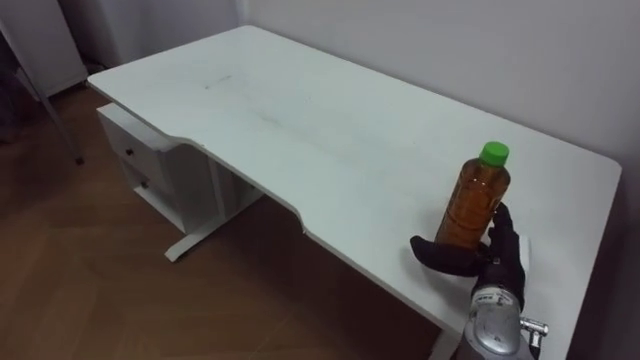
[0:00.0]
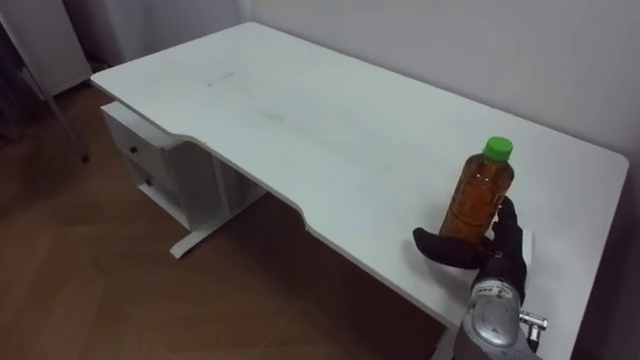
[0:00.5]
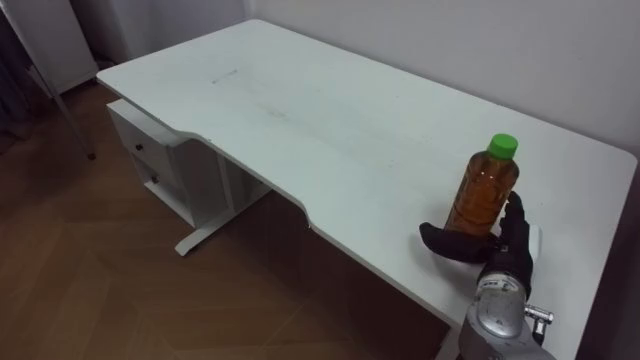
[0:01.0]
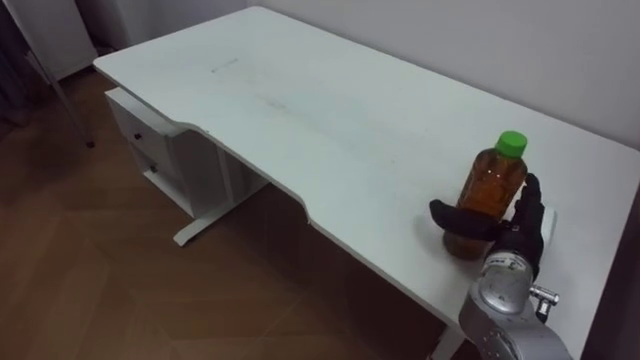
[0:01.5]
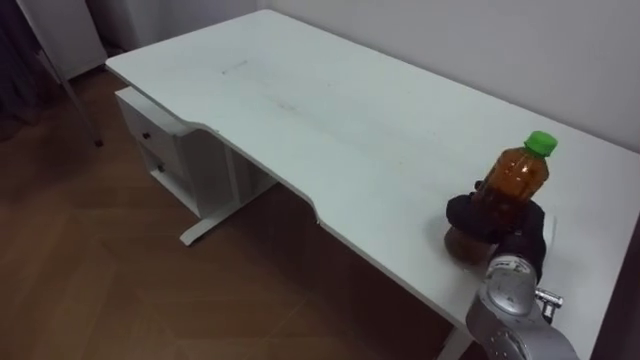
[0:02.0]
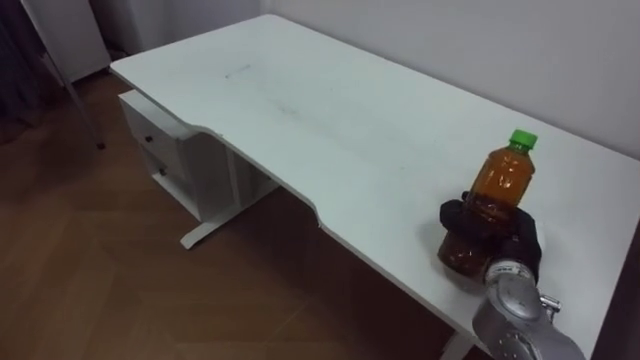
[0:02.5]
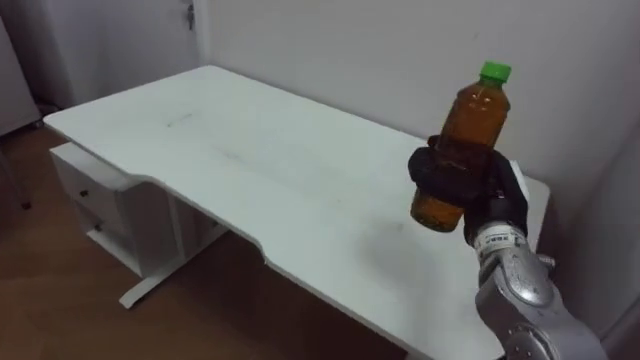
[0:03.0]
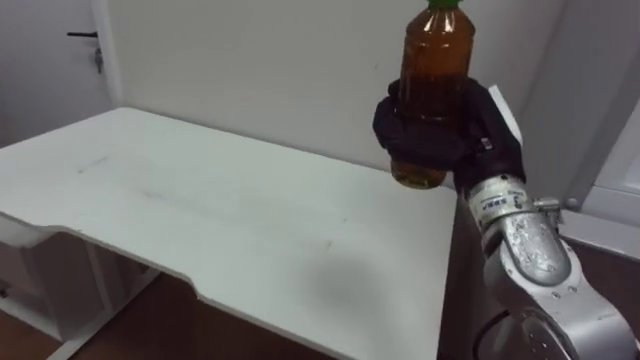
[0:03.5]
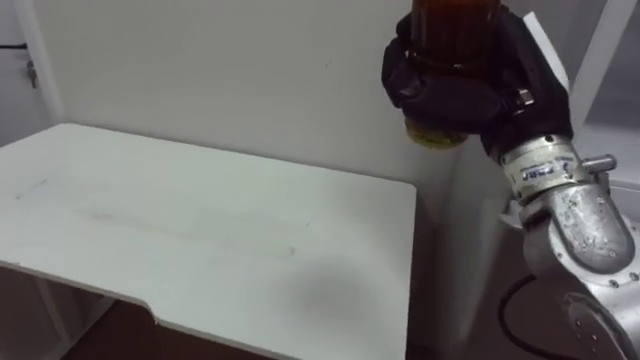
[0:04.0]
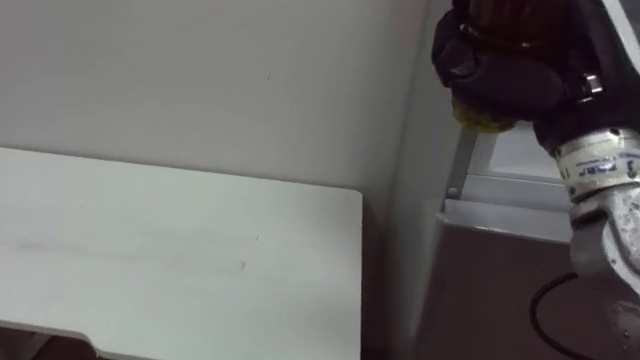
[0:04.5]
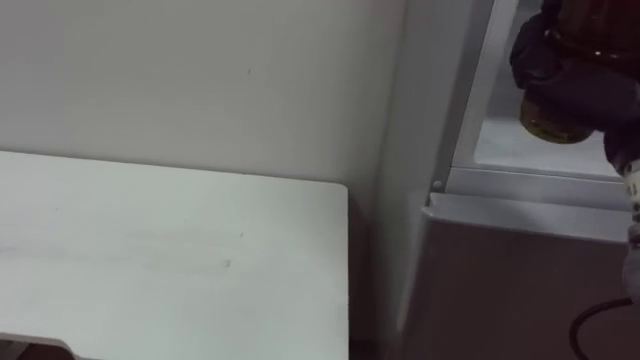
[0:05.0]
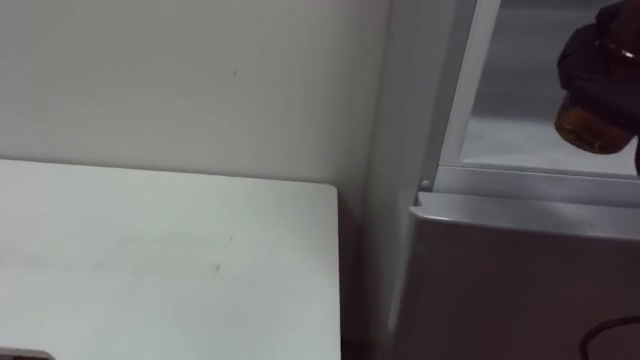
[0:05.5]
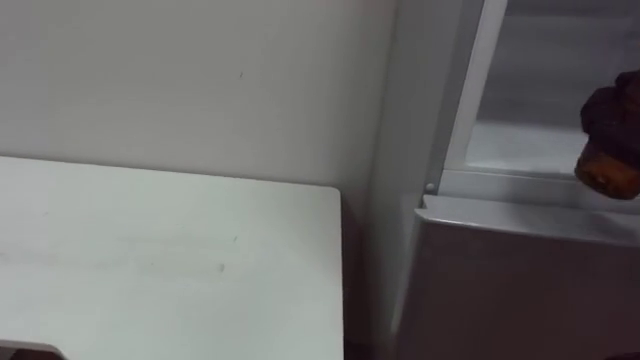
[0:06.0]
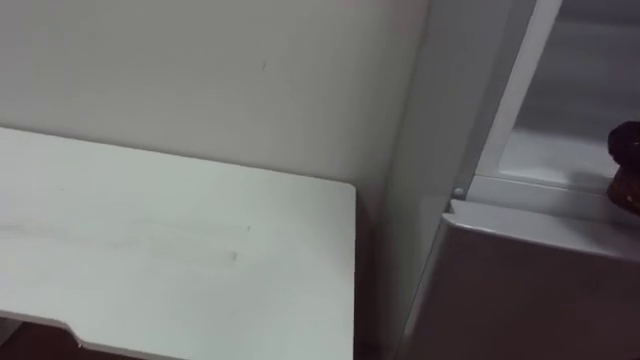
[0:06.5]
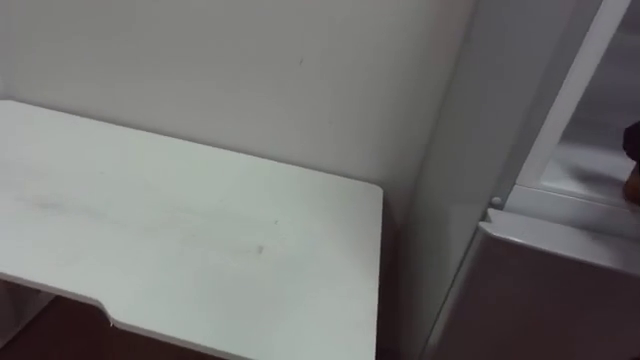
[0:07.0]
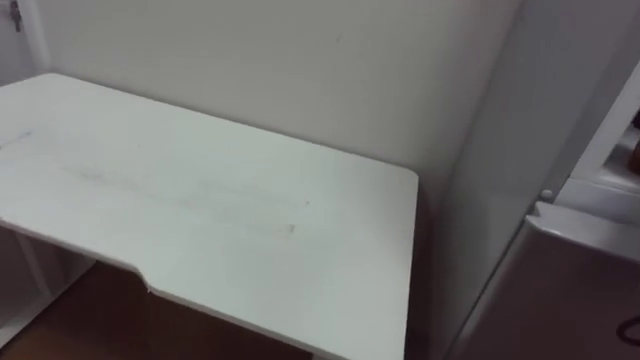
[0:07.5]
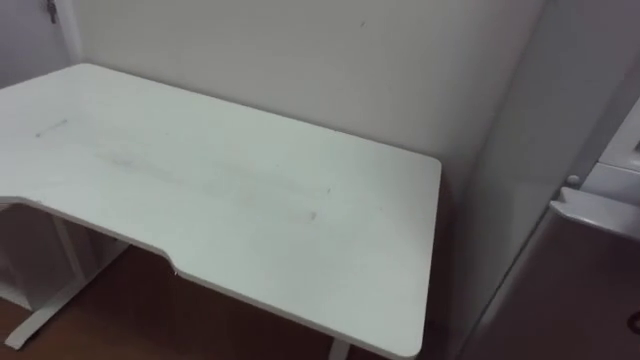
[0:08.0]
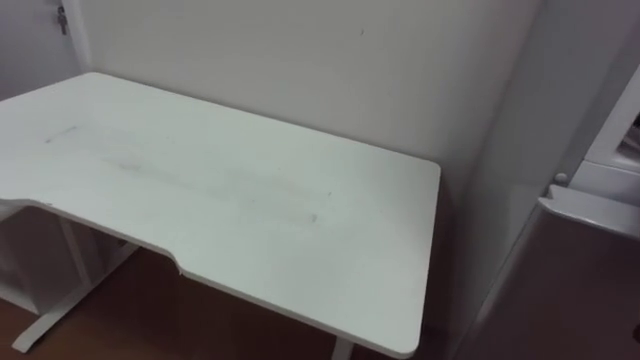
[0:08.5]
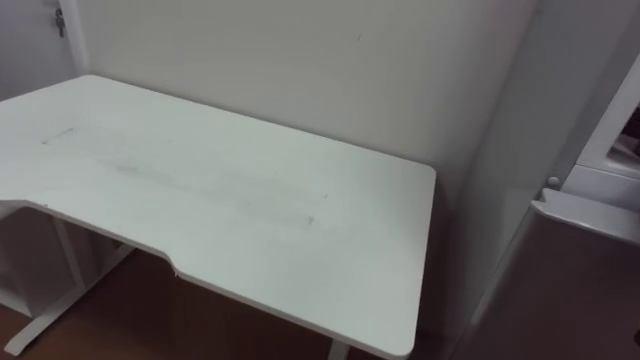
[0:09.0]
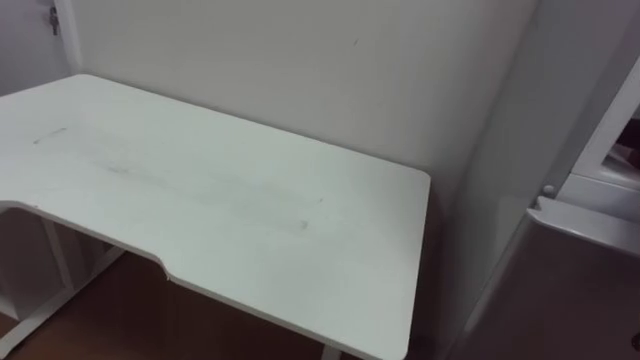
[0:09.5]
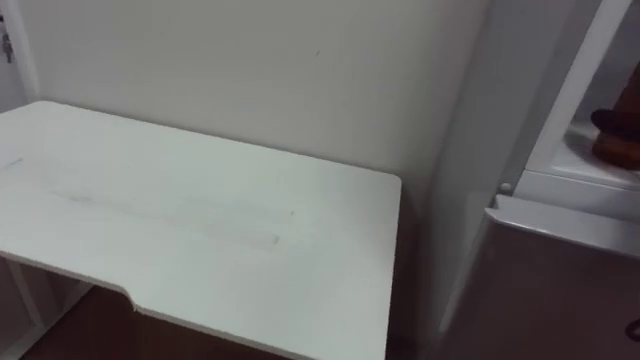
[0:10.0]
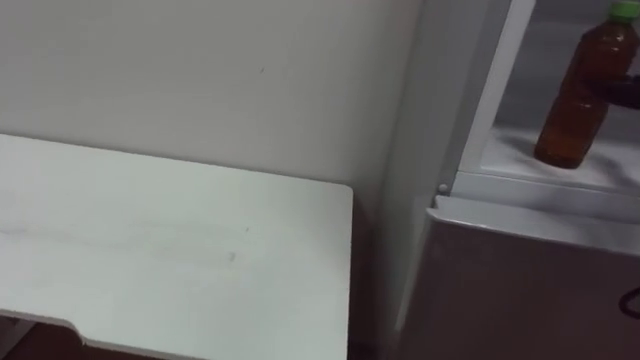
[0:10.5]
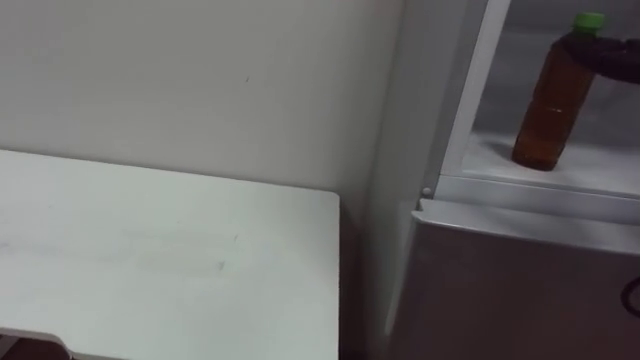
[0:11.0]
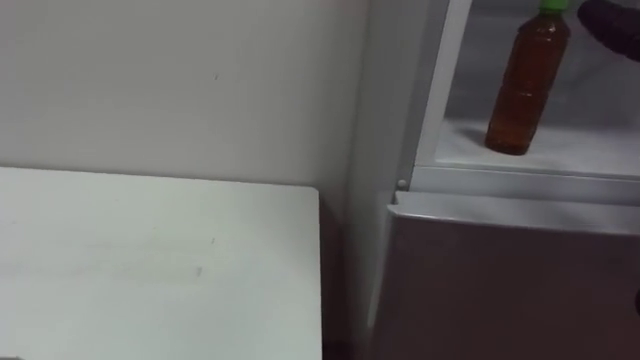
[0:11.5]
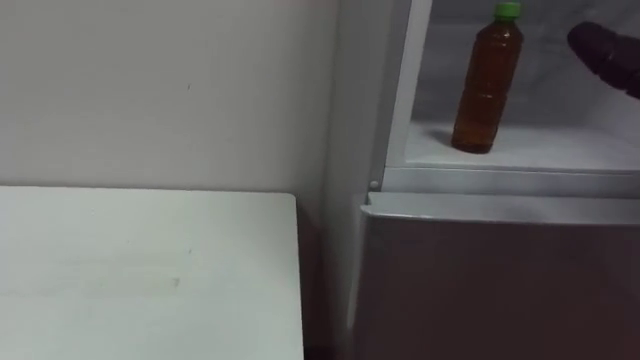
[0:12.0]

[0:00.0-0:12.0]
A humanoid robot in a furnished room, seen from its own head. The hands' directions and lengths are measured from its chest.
Task of the whole recording: Open the upper refrigerator door, put the drink from the table into the refrigerator, and then close the refrigerator door.
0:00.0 to 0:02.0: The right hand closes.
0:02.0 to 0:04.0: The right hand is displaced upward by roughly 20 cm.

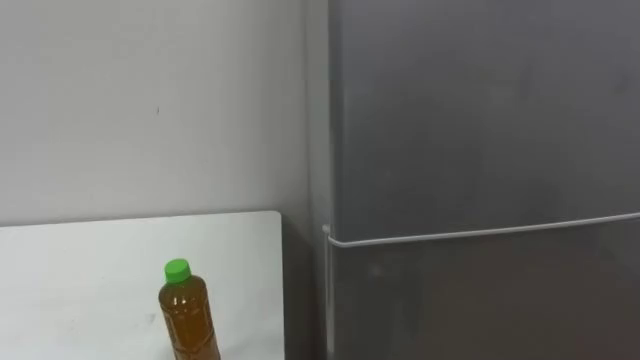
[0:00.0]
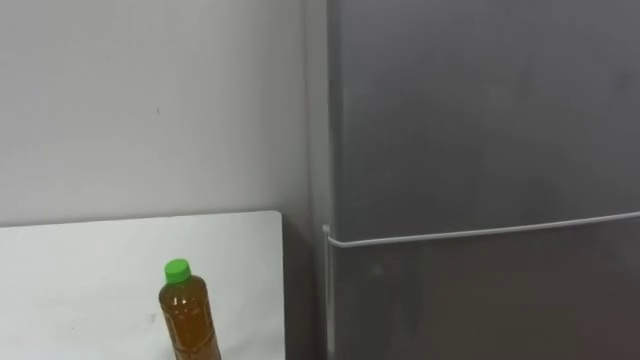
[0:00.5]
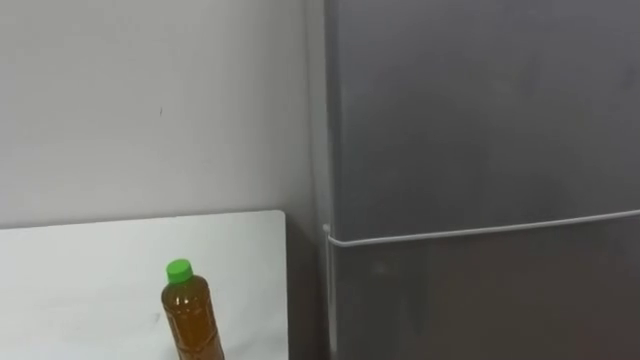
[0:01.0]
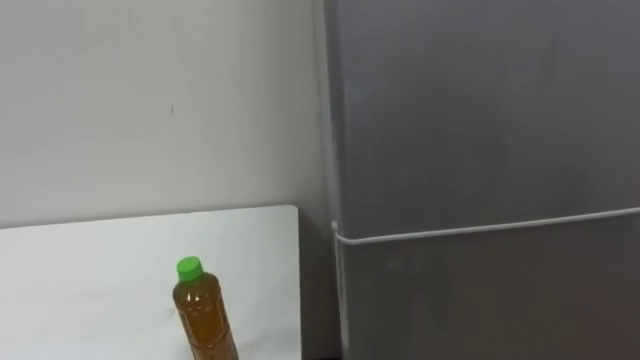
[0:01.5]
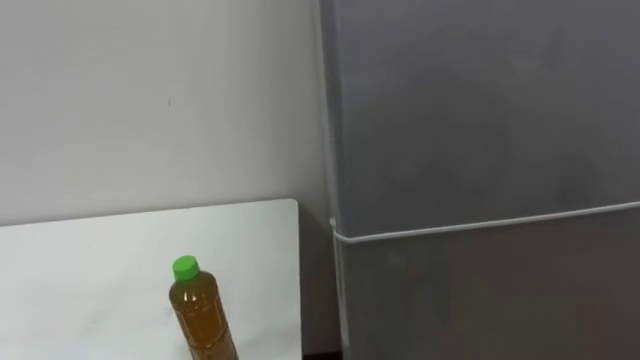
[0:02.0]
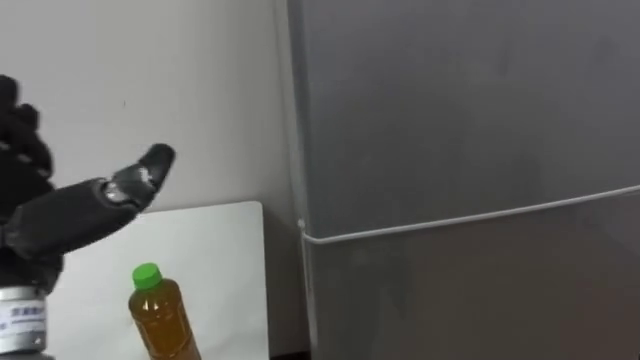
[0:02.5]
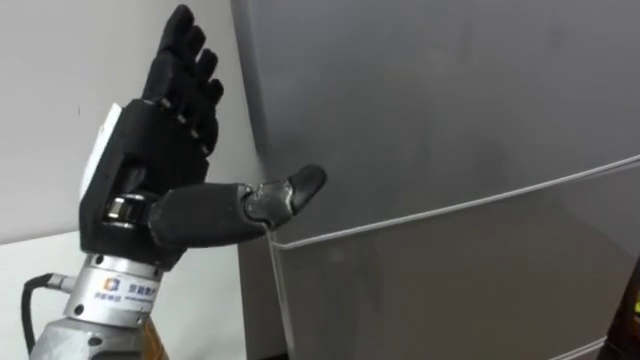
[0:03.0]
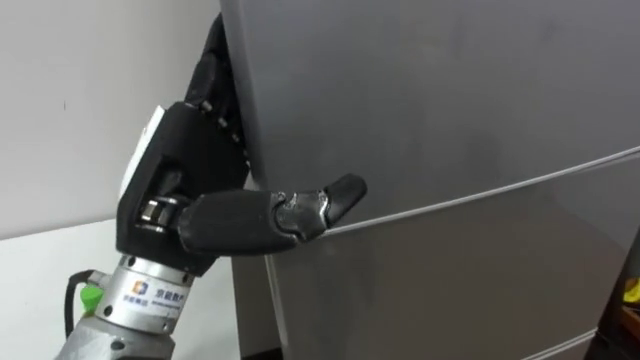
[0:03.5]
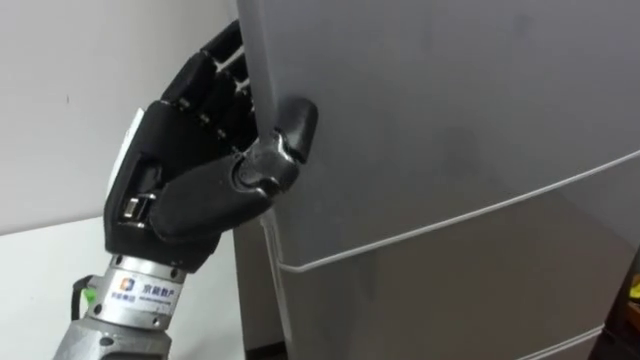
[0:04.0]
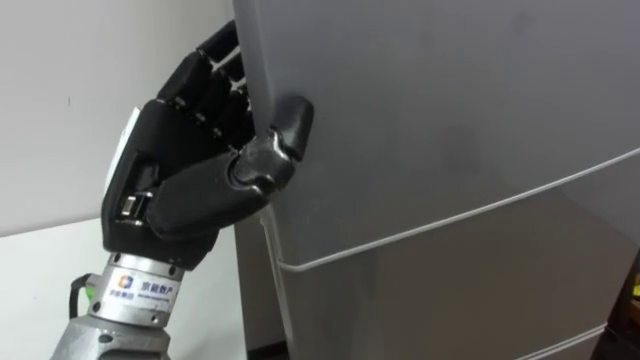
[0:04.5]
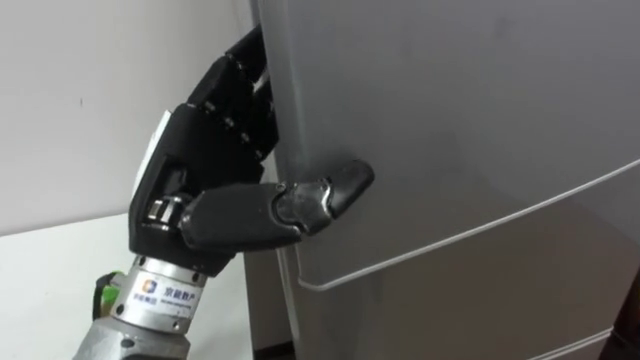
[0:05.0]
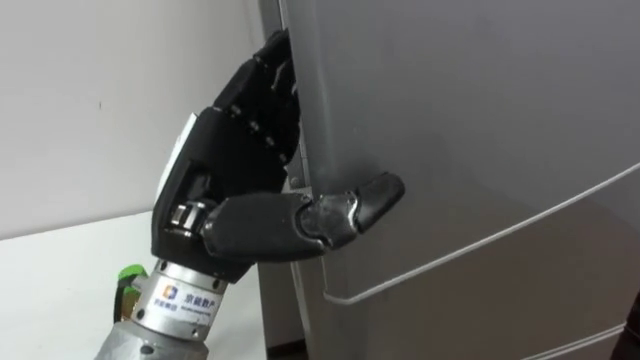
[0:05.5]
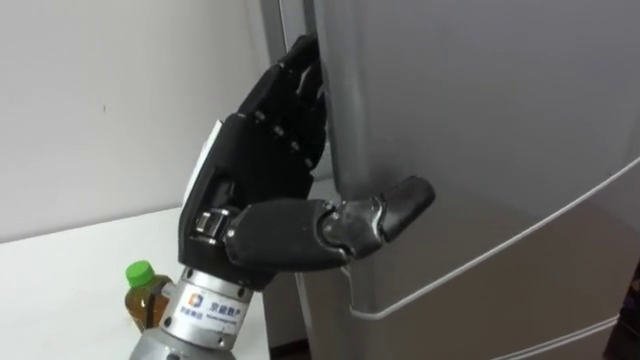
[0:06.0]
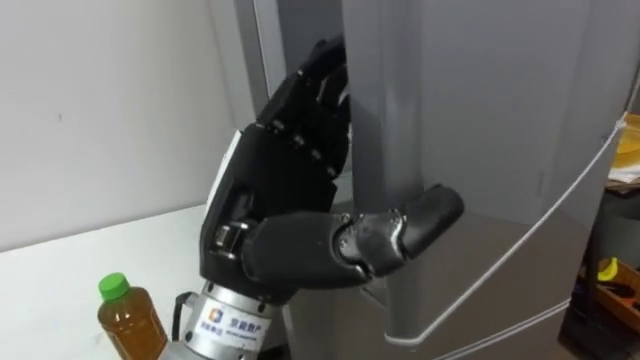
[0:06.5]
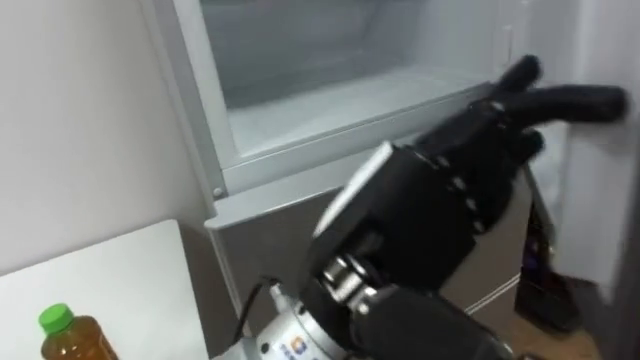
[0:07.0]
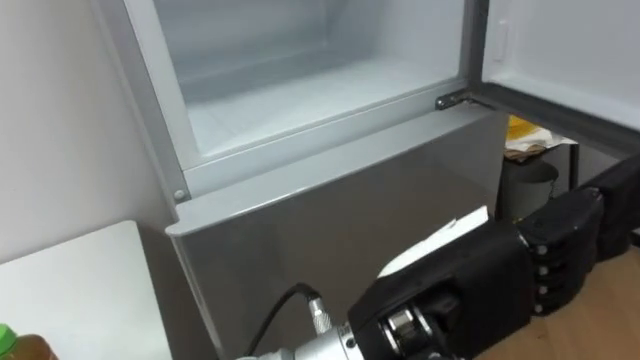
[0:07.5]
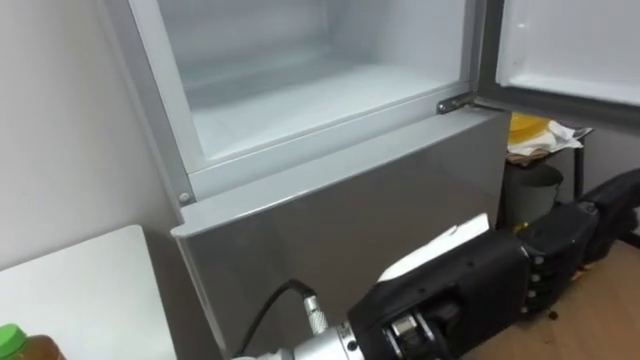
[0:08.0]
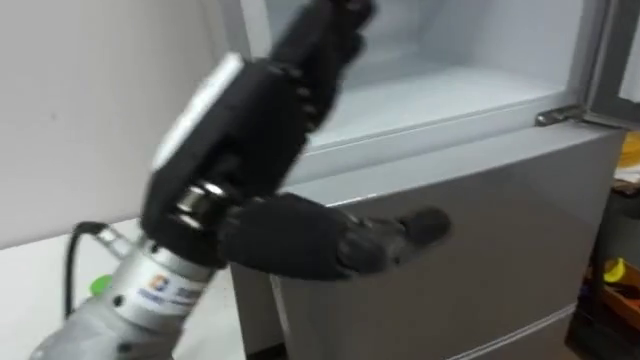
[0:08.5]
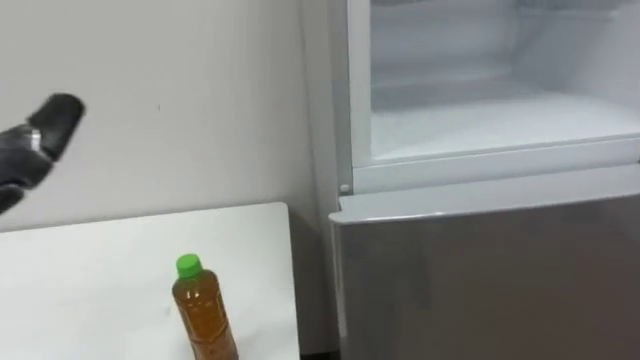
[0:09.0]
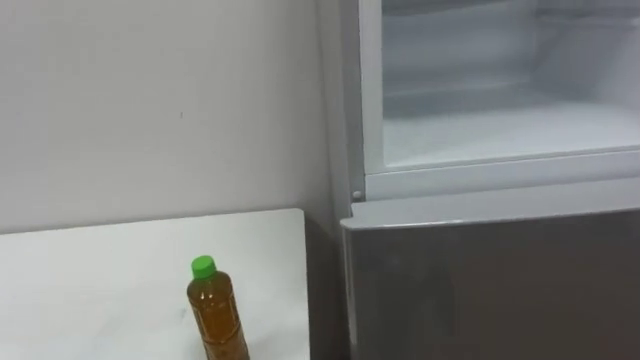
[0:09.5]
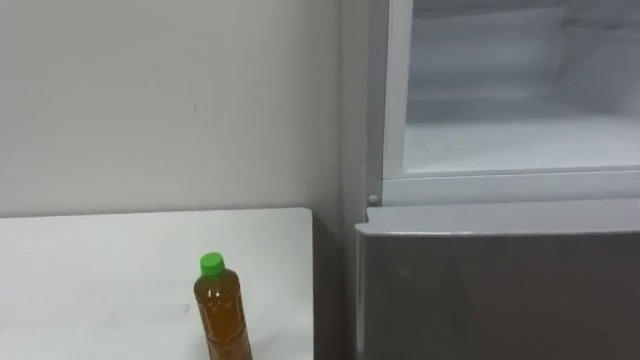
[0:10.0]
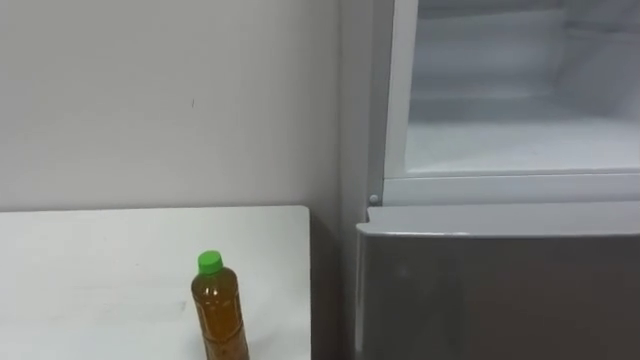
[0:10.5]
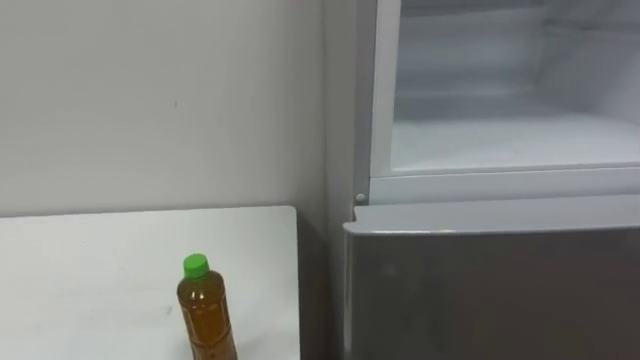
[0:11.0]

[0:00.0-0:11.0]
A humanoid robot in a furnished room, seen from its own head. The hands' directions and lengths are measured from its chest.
Task of the whole recording: Open the upper refrigerator door, put the drink from the table into the refrigerator, and then close the refrigerator door.
0:03.5 to 0:05.5: The left hand closes, then opens again.
0:05.5 to 0:07.5: The left hand heads to the right and backward, covering approximately 15 cm.
